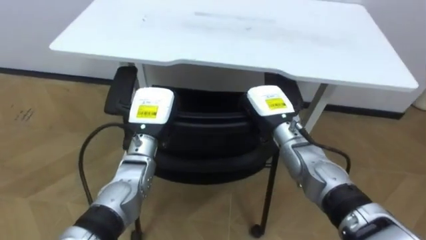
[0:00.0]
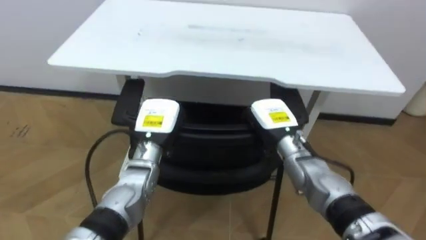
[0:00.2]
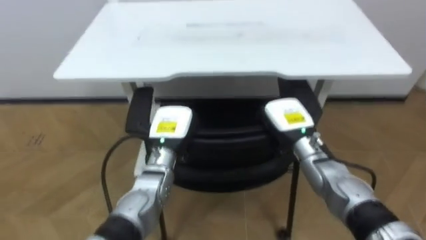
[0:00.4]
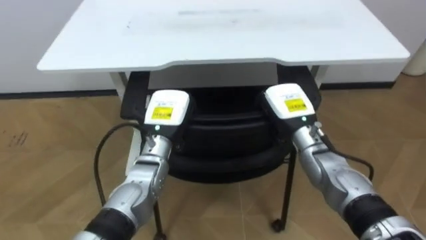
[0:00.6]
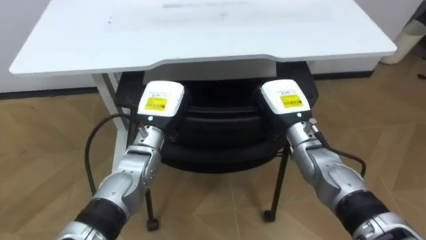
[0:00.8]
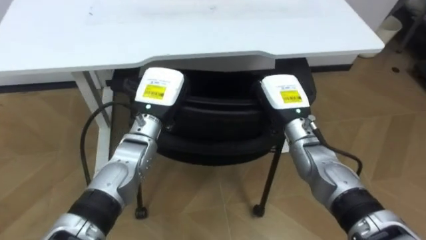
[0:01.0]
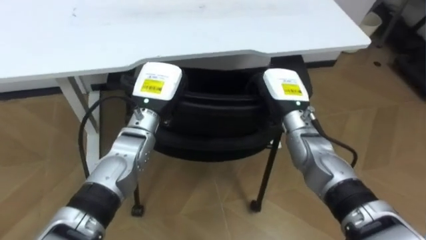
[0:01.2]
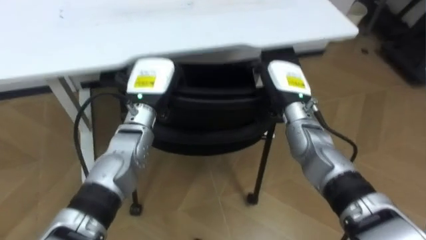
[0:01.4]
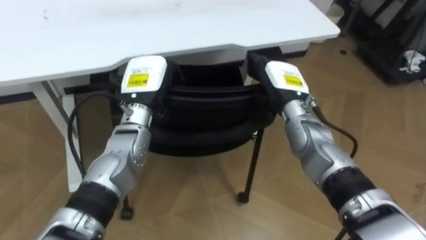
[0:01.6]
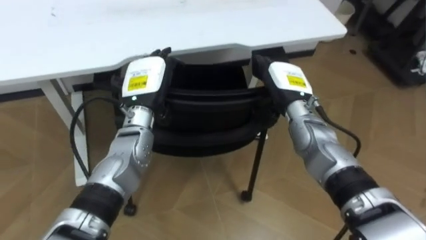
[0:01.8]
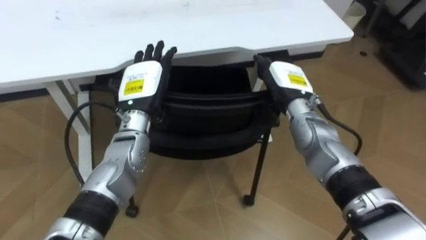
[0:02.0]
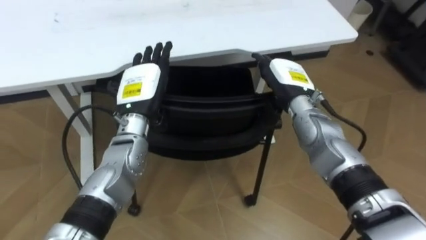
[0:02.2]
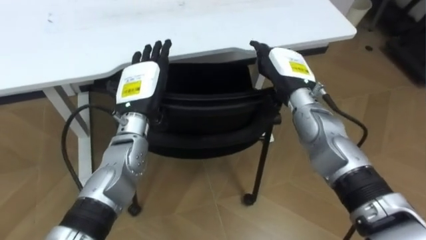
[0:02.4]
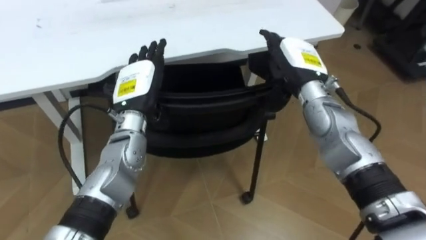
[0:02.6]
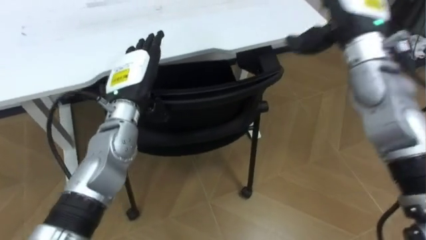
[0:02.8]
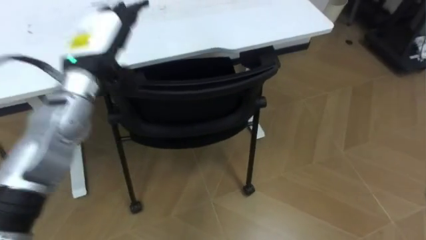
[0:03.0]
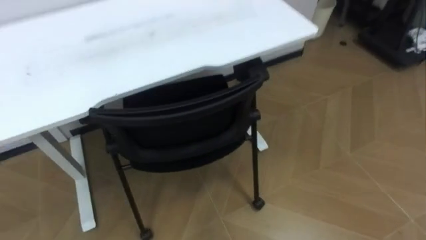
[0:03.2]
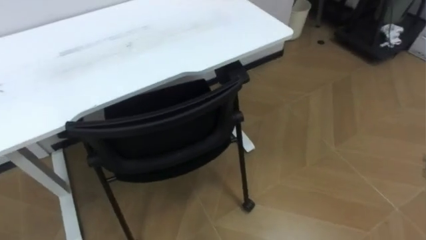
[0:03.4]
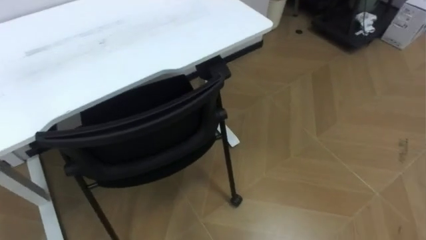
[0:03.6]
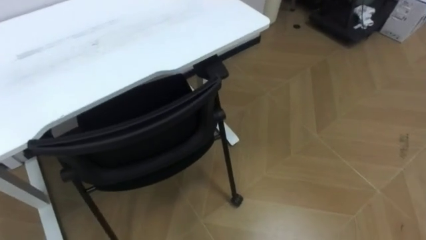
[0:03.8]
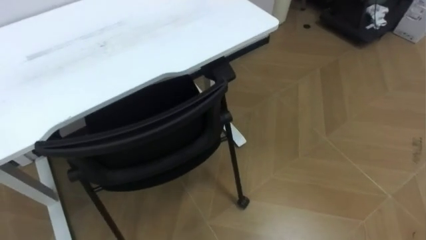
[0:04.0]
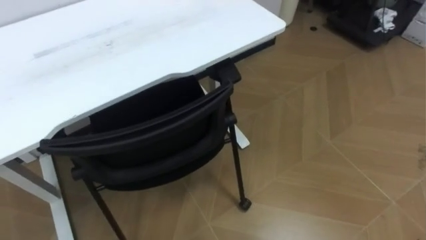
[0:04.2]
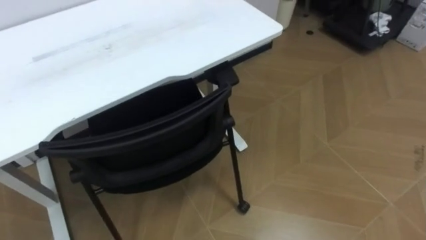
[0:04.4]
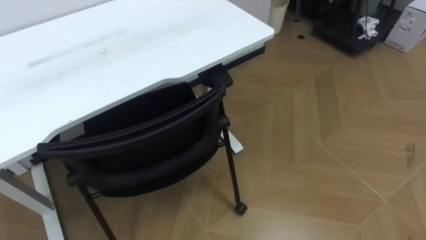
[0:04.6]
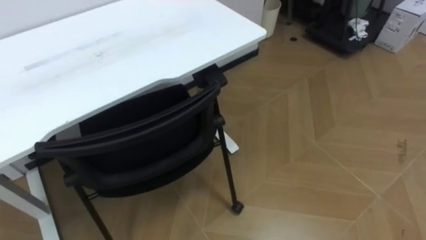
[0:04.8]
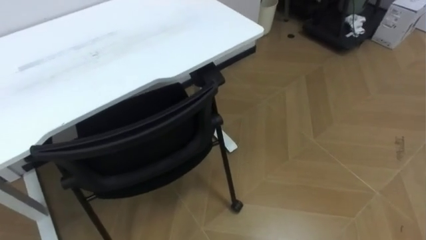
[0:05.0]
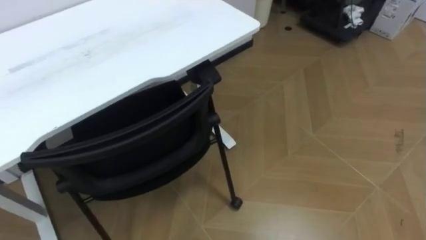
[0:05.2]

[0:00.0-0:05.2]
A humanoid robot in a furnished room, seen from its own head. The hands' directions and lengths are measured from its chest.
Task of the whole recording: Push the chair under the table.
0:00.0 to 0:01.8: The robot's body swings roughly 20 degrees to its right. The right hand moves approximately 5 cm, and opens up; the left hand shifts by approximately 5 cm, and opens its fingers.

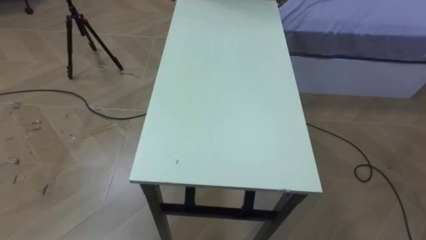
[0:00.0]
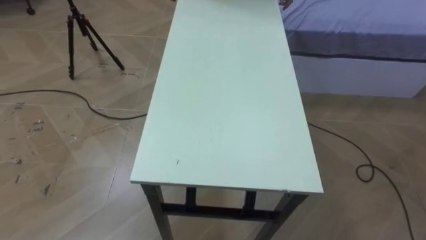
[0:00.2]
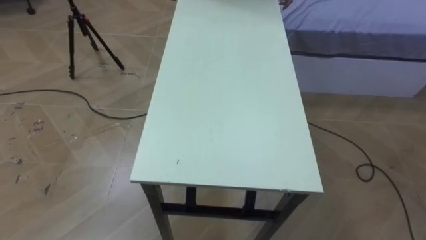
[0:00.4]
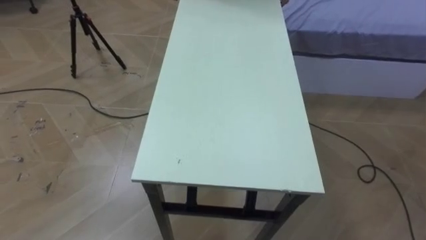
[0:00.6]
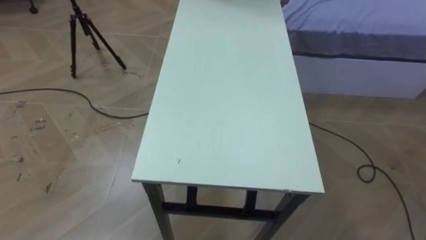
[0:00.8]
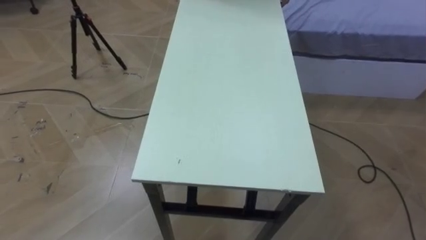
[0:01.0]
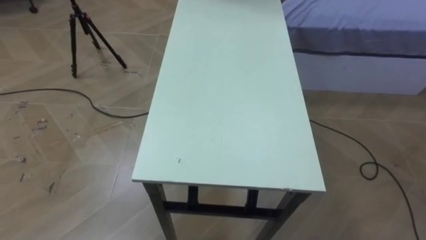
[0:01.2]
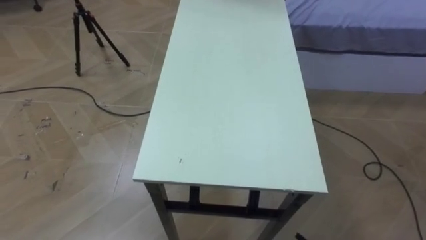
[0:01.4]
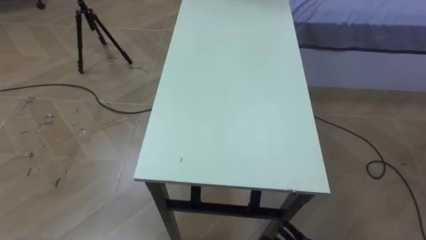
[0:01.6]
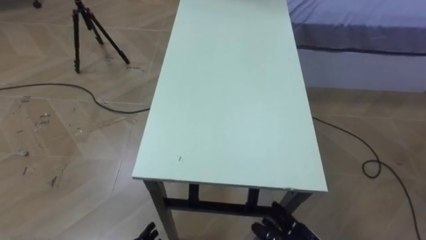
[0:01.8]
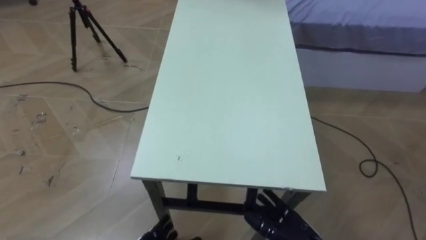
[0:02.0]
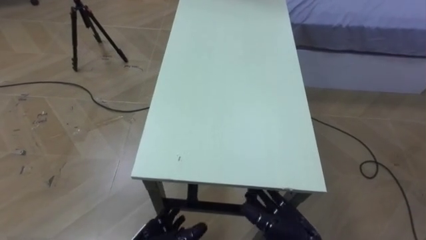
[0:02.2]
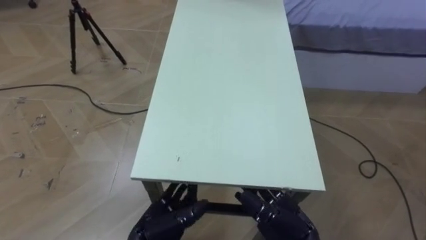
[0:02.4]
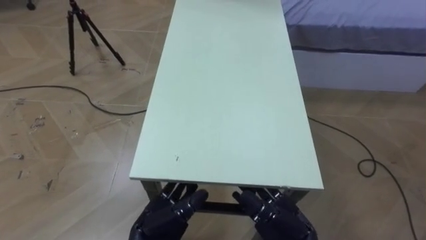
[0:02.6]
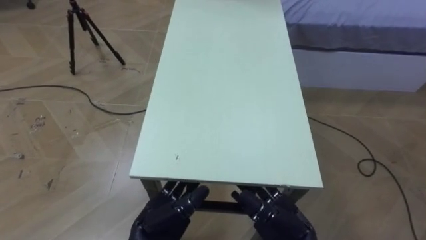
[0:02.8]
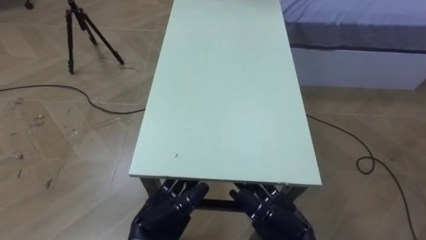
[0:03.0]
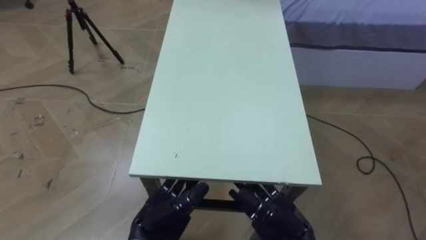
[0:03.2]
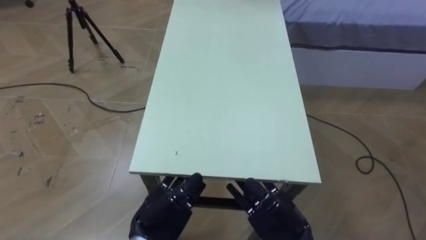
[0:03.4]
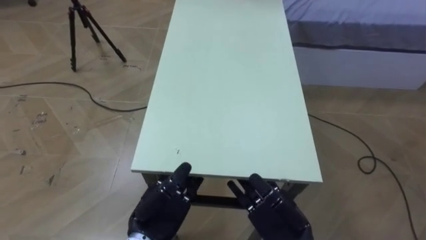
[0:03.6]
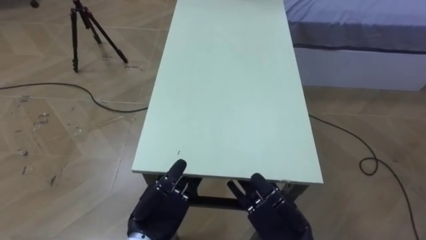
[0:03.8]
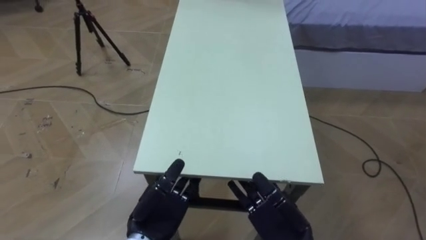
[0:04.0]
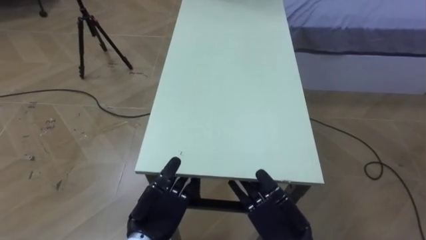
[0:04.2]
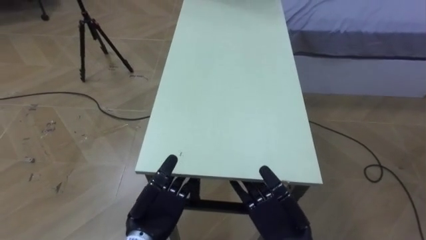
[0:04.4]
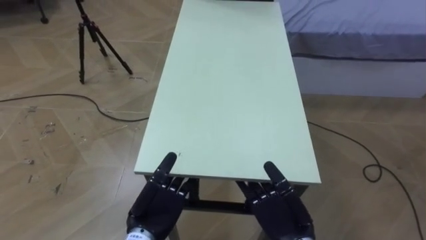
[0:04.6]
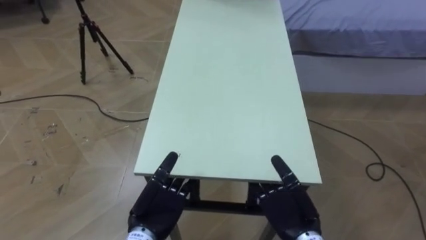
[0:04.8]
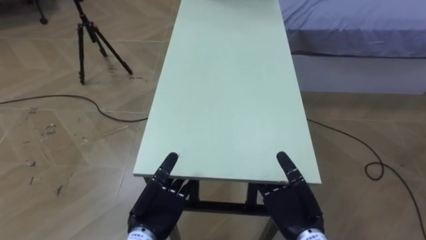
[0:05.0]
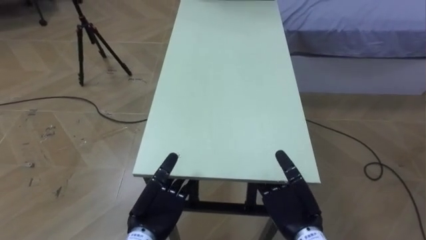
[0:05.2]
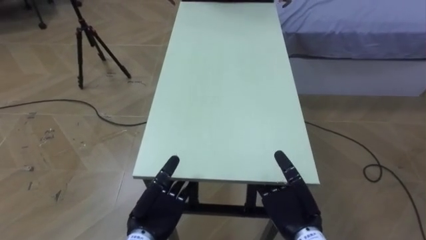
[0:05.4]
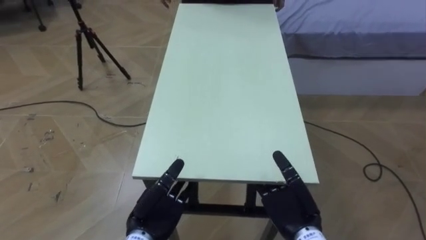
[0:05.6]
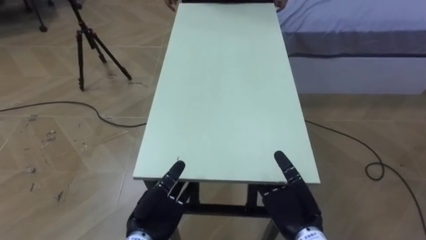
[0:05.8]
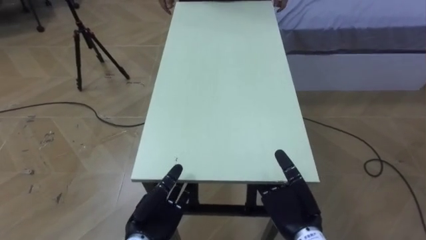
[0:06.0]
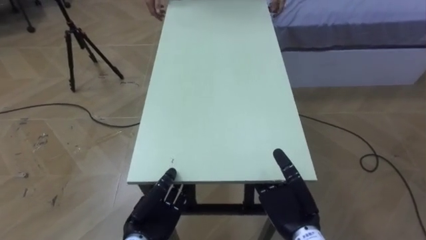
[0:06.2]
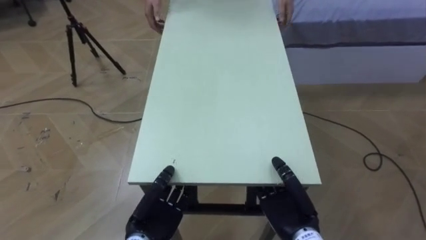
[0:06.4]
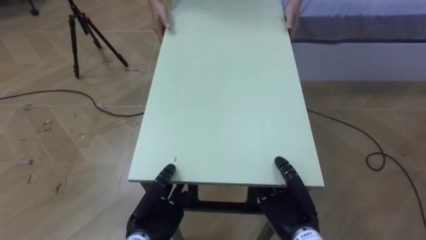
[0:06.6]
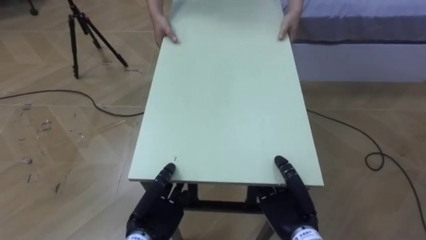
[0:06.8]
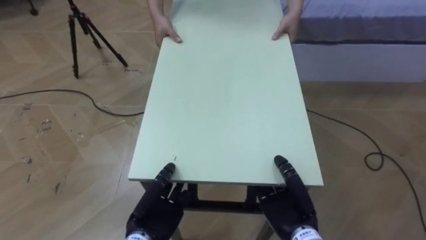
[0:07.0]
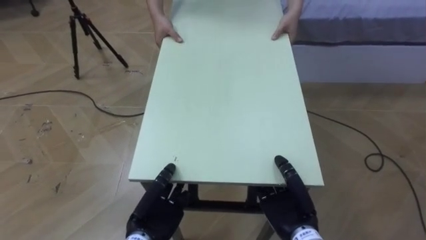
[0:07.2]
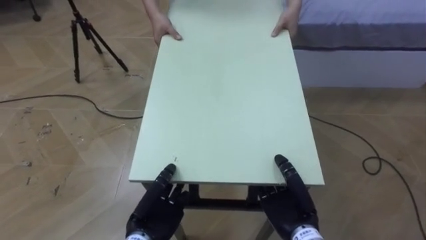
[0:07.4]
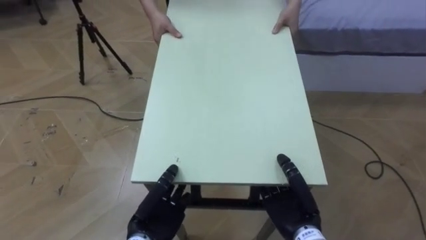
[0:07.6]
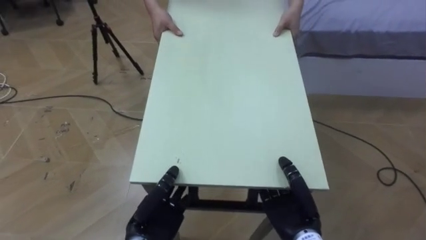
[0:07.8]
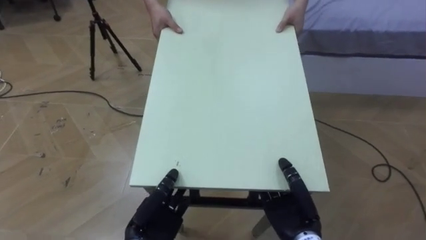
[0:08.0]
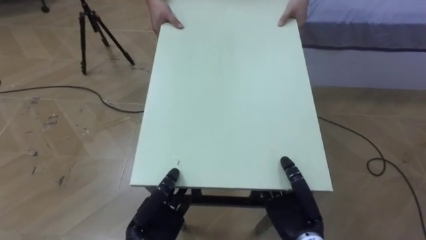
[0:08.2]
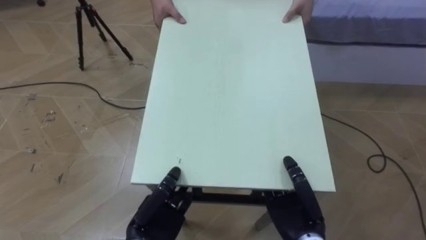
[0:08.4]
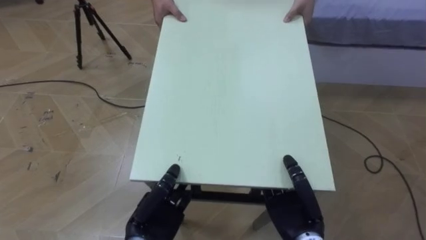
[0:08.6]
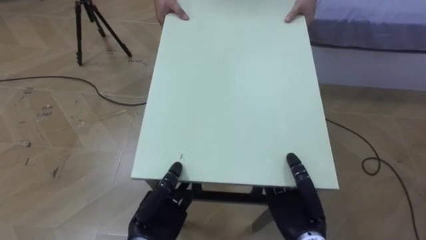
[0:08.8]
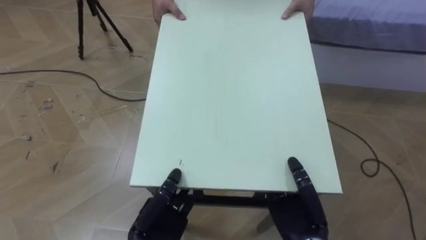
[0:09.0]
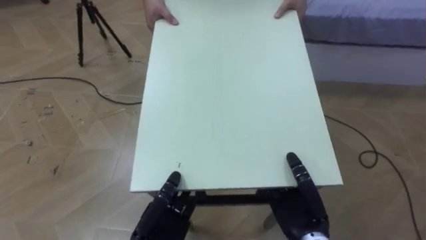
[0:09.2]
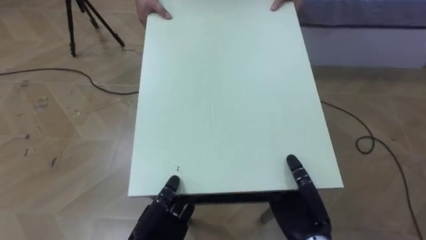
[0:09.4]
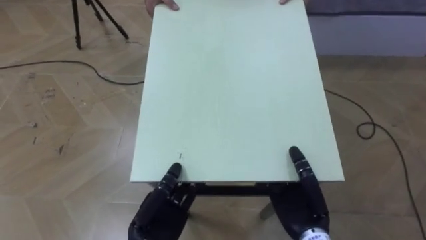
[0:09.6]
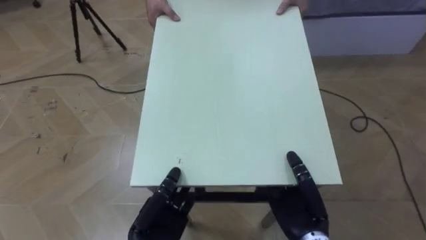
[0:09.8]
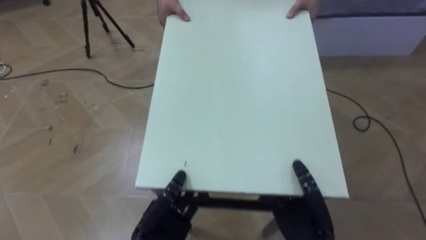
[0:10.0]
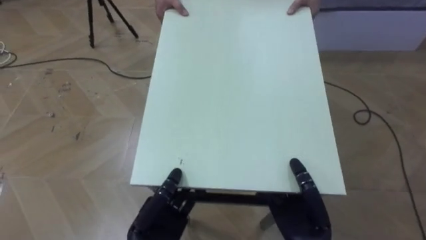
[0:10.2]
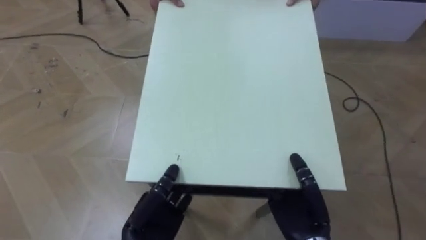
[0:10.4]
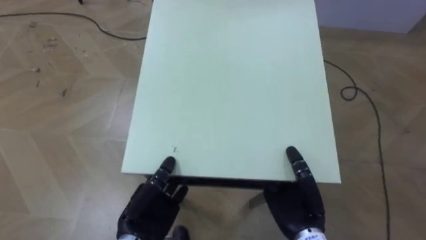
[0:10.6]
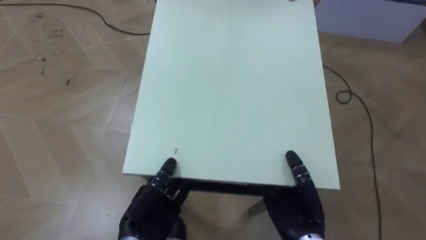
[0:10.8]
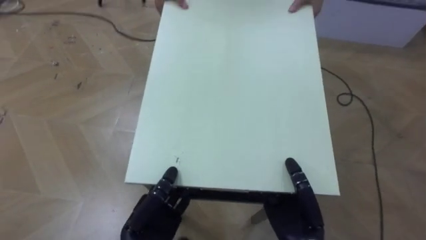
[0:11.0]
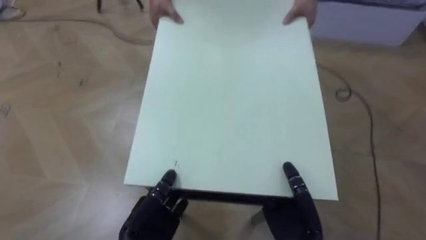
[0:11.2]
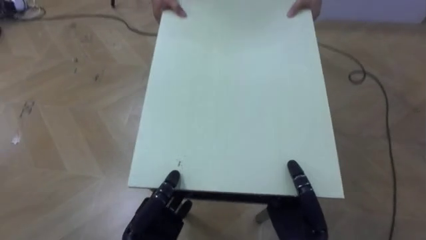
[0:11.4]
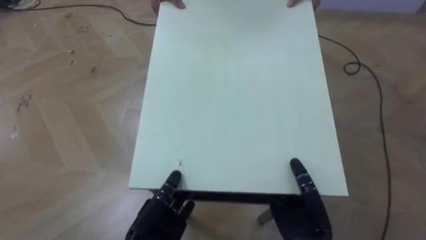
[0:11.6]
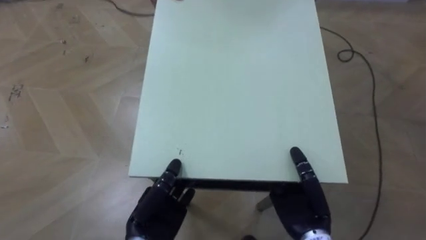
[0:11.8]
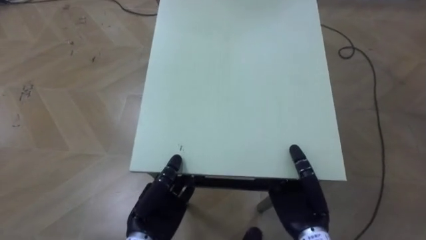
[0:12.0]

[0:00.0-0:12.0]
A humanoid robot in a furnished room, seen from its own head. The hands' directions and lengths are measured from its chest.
Task of the whole recording: Move the table to the back left with someone.
0:04.4 to 0:06.0: The left hand closes up.
0:06.0 to 0:07.6: The right hand closes its fingers.
